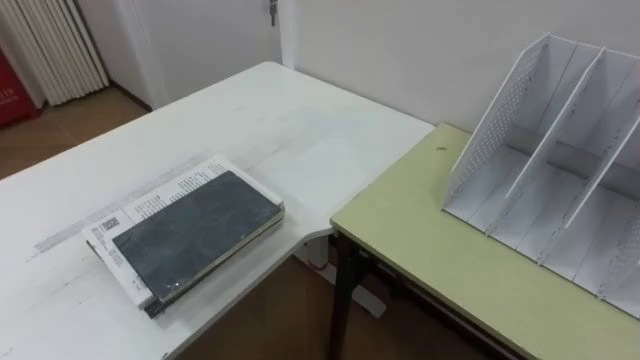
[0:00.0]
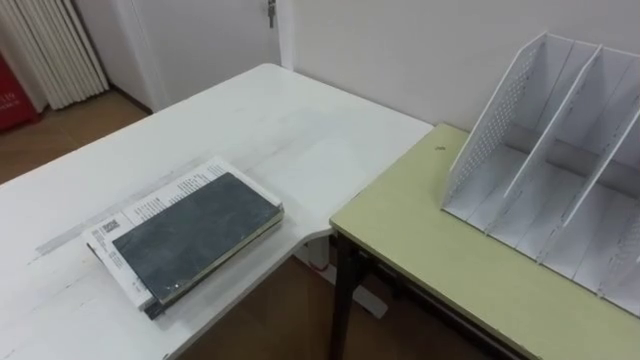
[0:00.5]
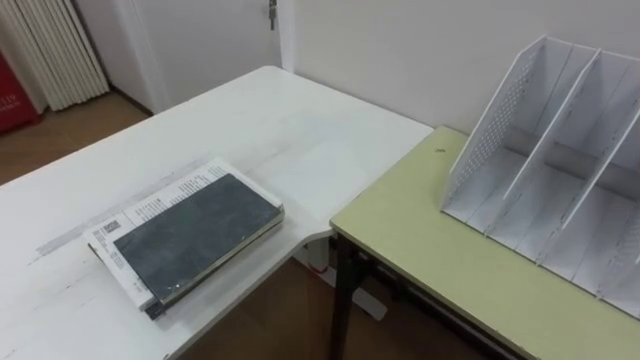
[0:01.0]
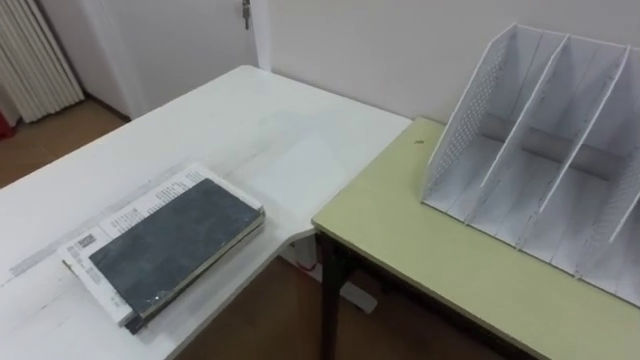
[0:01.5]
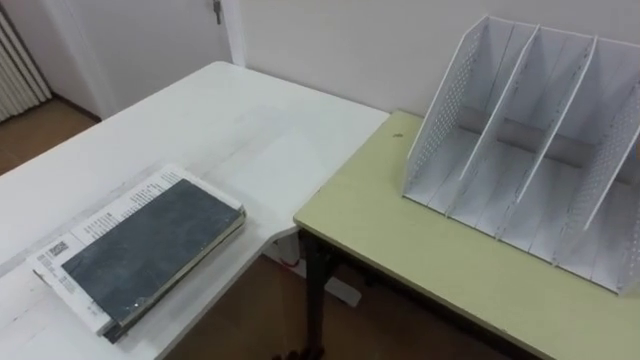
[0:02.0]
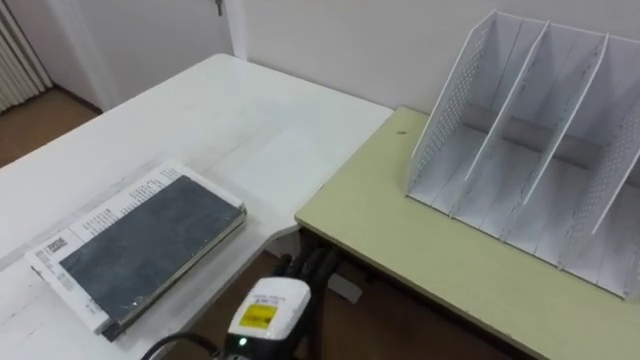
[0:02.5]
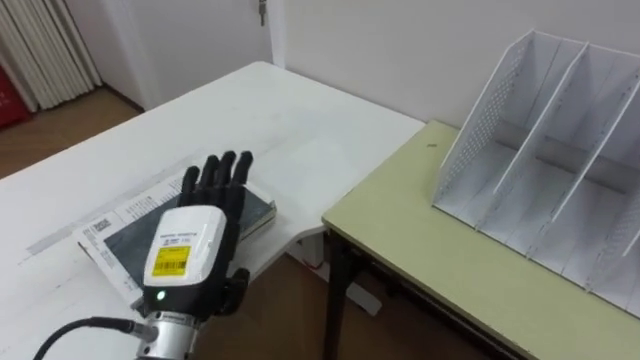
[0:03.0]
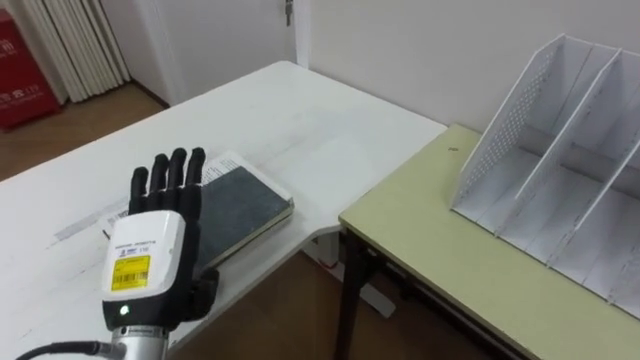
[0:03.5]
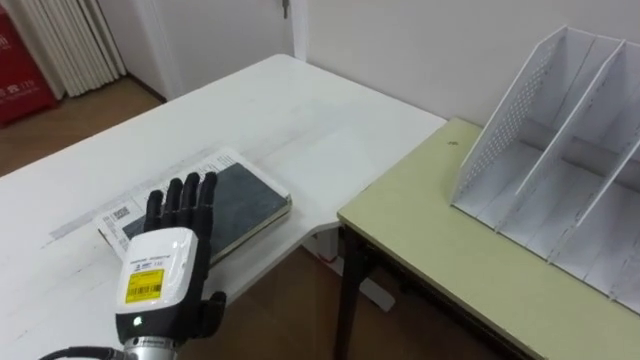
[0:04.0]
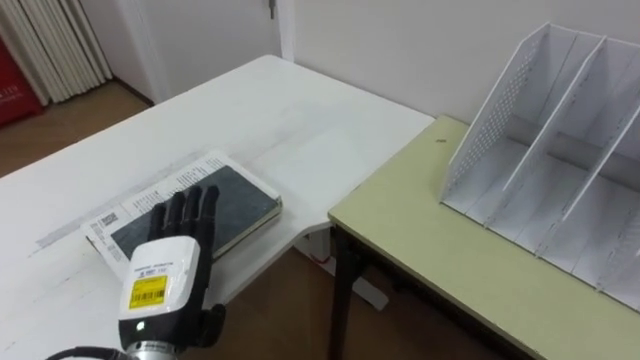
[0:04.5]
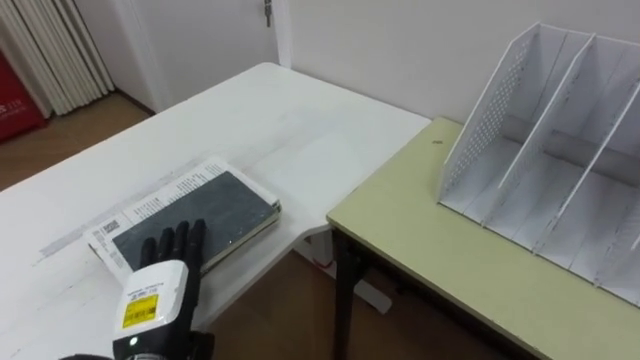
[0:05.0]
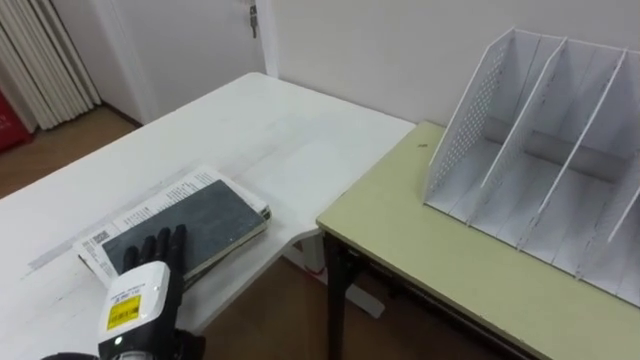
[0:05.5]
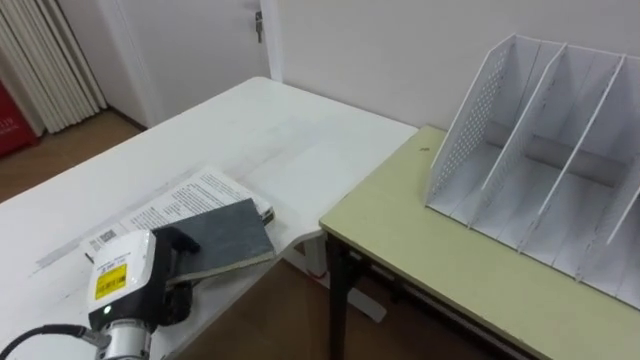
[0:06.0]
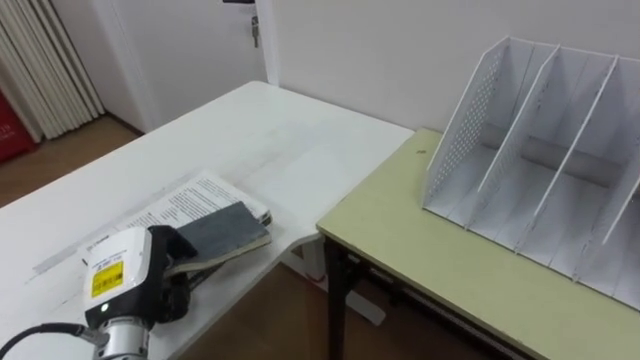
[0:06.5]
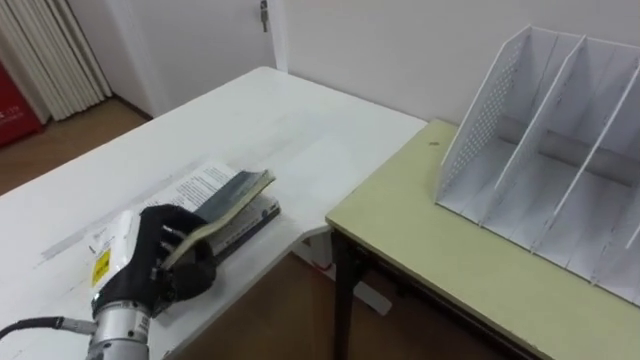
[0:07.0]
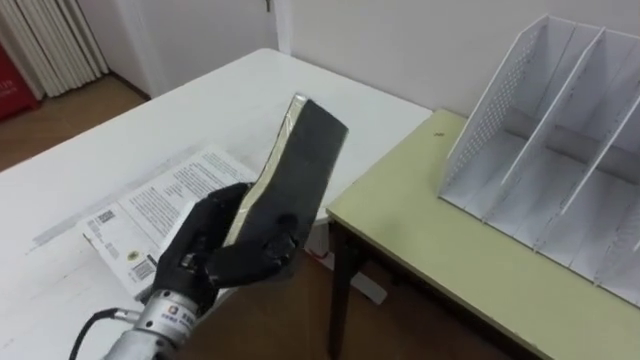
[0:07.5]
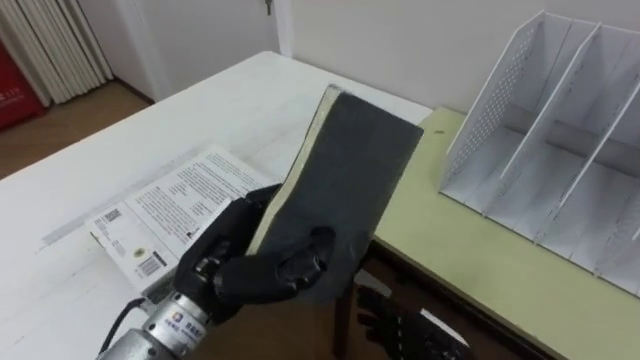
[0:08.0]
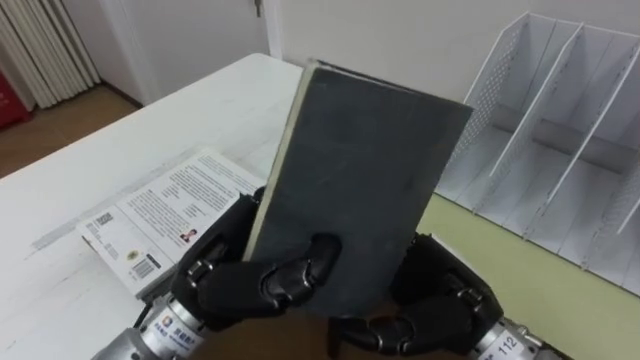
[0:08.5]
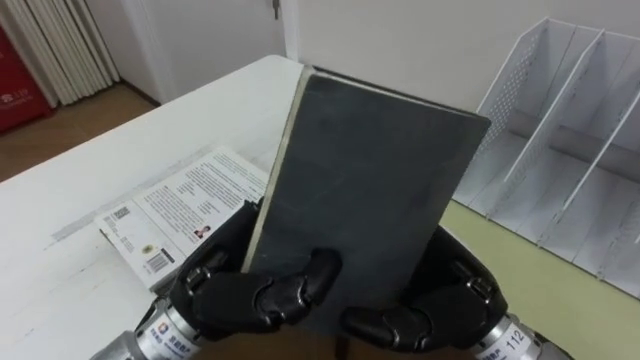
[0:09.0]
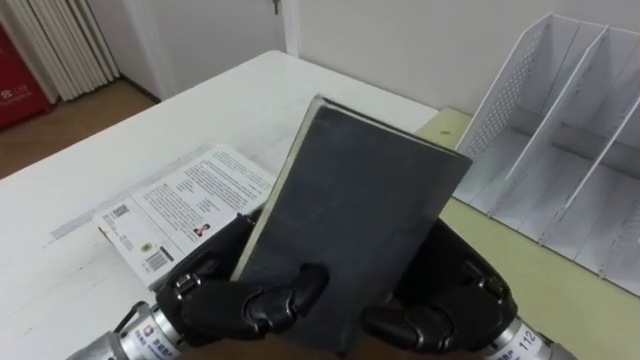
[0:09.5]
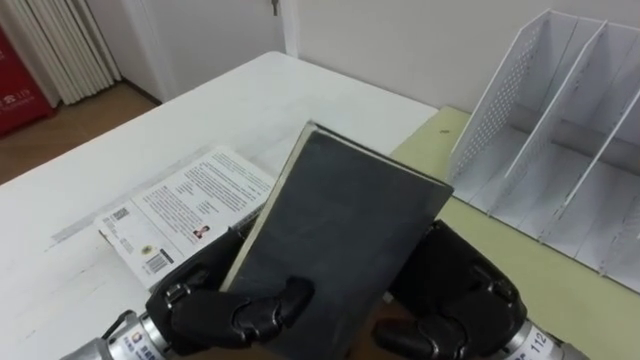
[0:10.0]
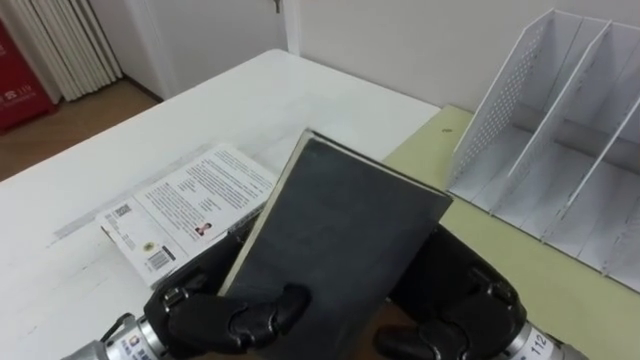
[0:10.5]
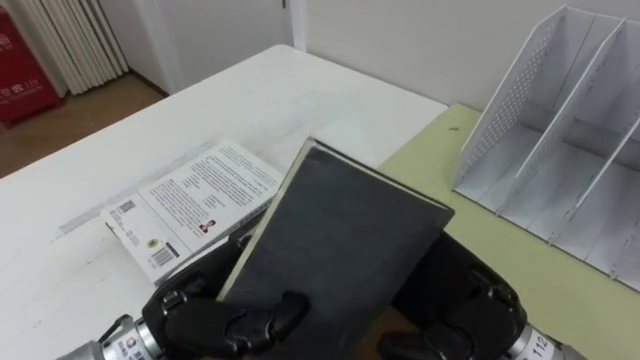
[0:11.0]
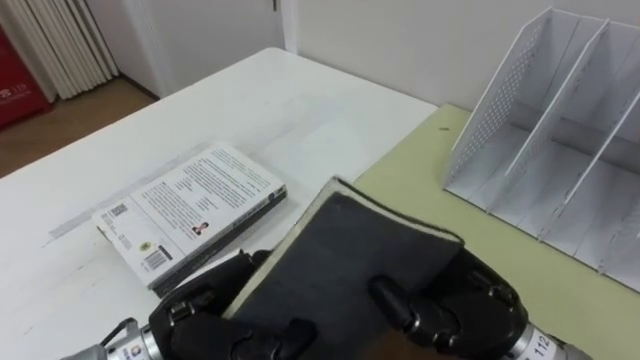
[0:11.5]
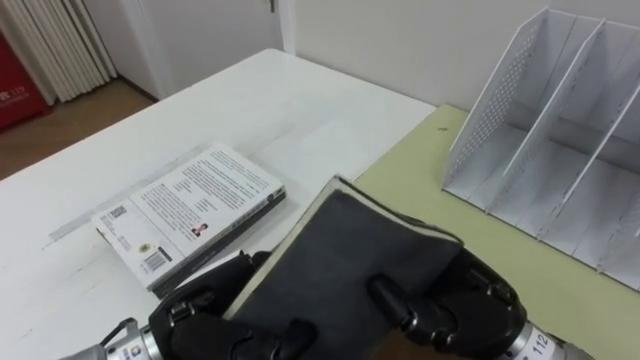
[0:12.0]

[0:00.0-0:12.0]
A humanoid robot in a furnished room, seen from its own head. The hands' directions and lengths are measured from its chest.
Task of the whole recording: Put the books on the table onto the bookshelf.
0:04.0 to 0:06.0: The left hand moves about 5 cm, and closes its fingers.
0:06.0 to 0:08.0: The left hand is displaced to the right and upward by about 15 cm.
0:08.0 to 0:10.0: The right hand shifts some 15 cm upward.
0:10.0 to 0:12.0: The right hand closes.

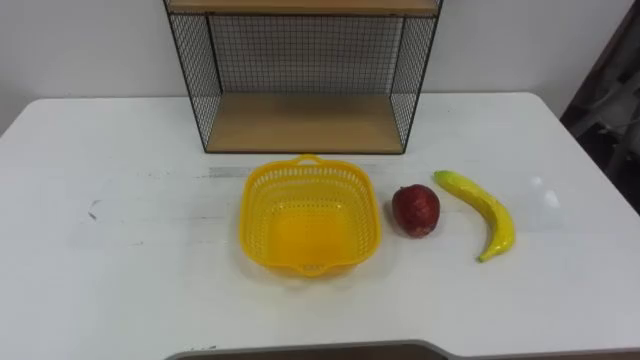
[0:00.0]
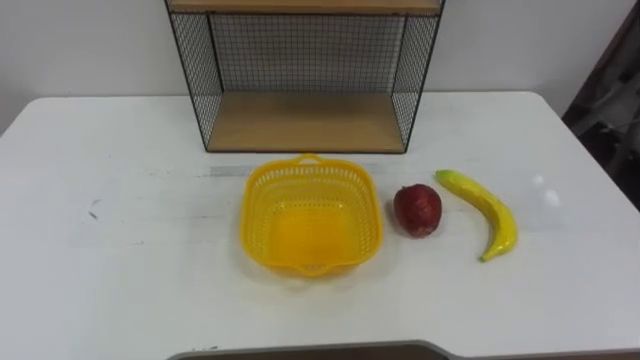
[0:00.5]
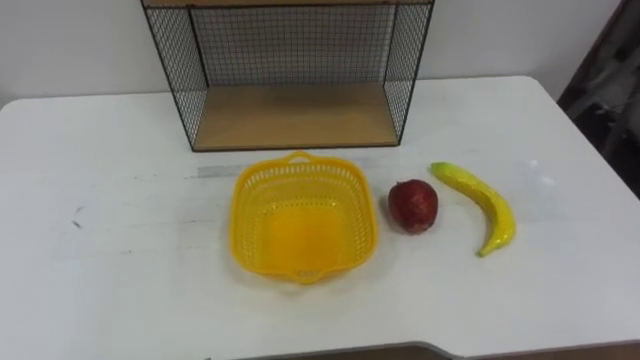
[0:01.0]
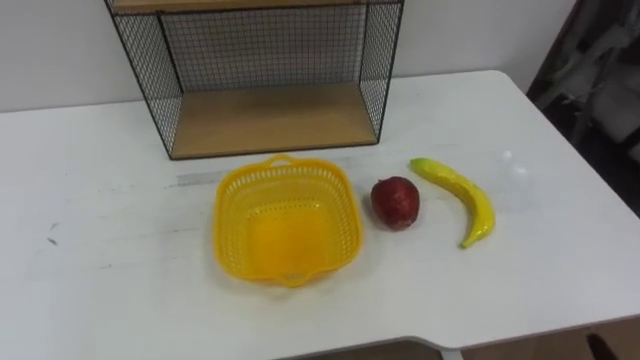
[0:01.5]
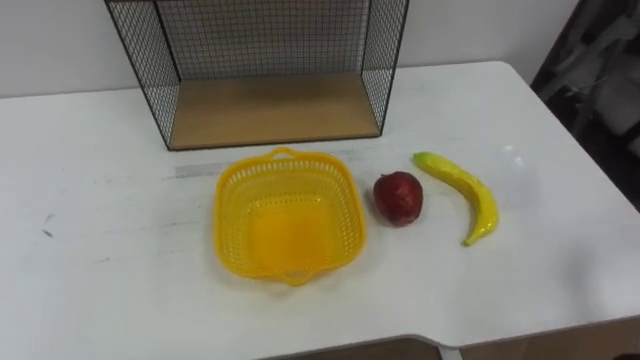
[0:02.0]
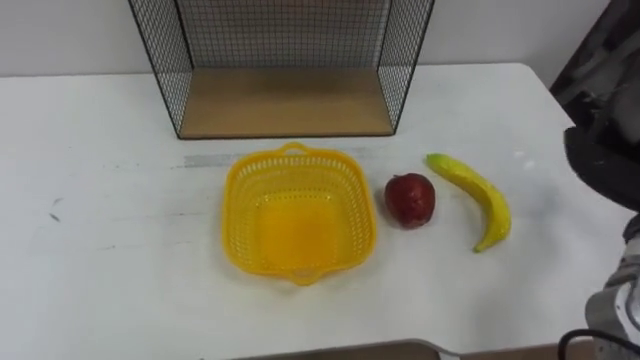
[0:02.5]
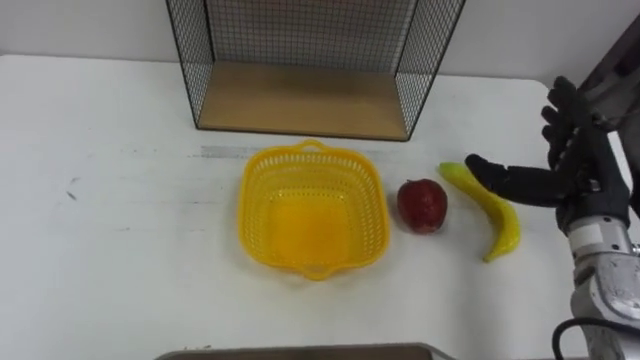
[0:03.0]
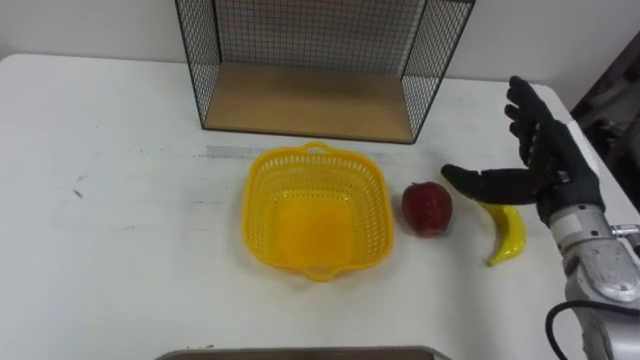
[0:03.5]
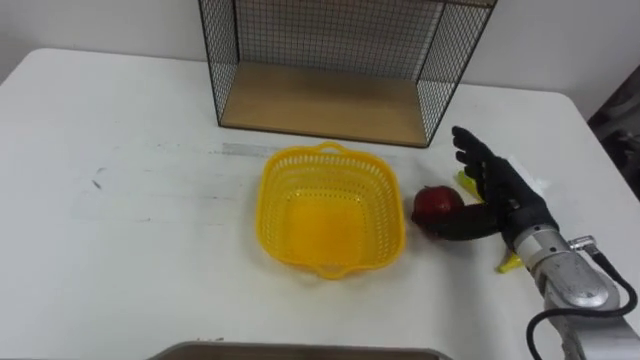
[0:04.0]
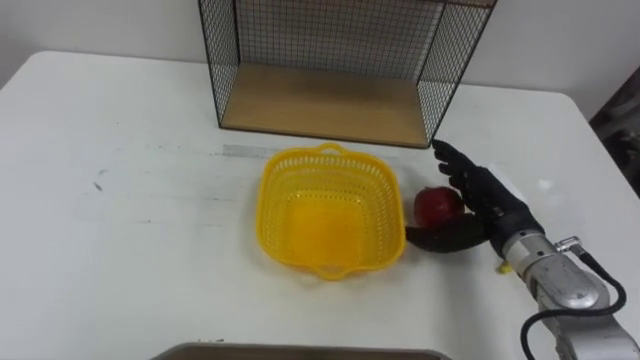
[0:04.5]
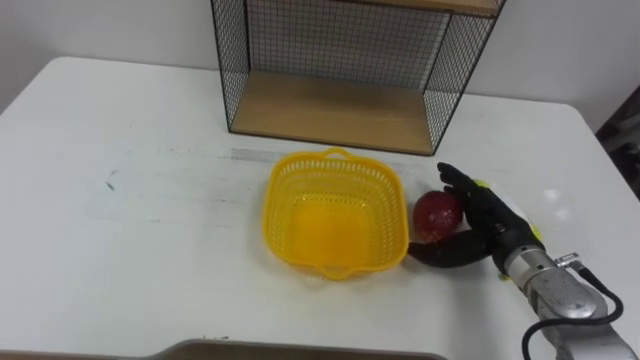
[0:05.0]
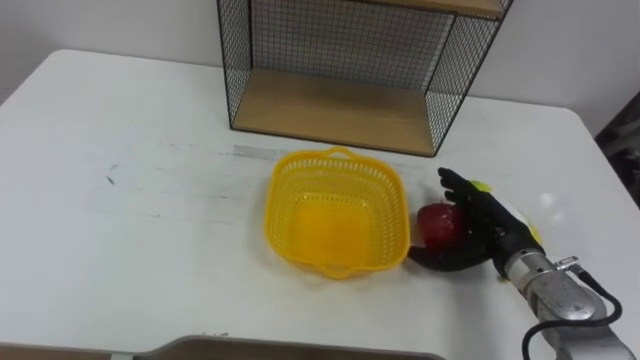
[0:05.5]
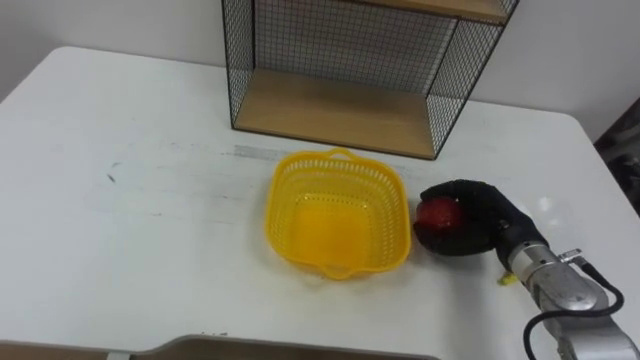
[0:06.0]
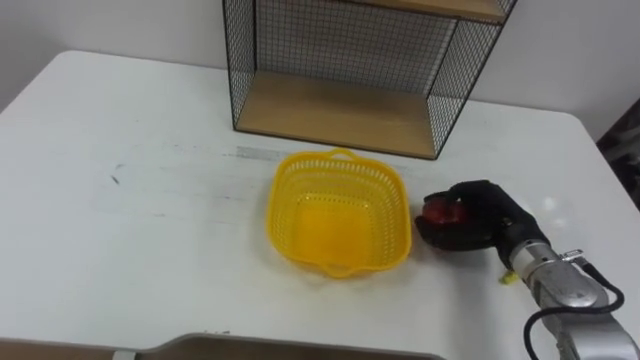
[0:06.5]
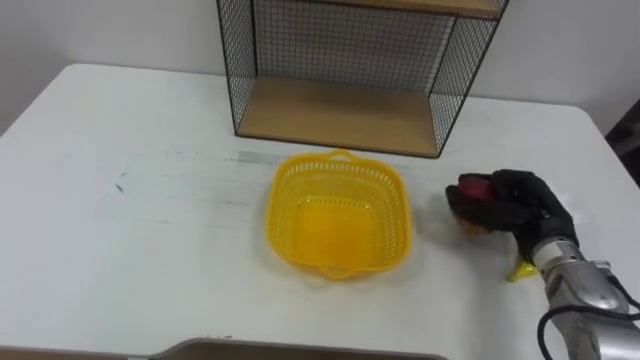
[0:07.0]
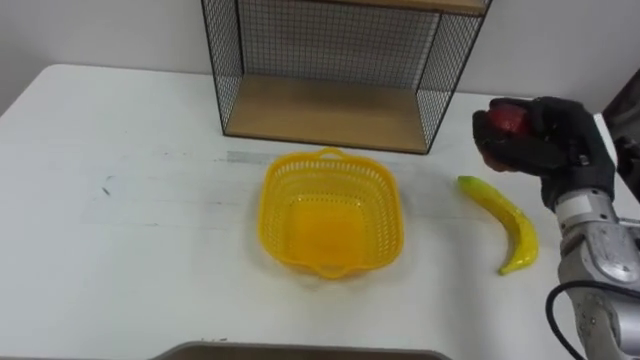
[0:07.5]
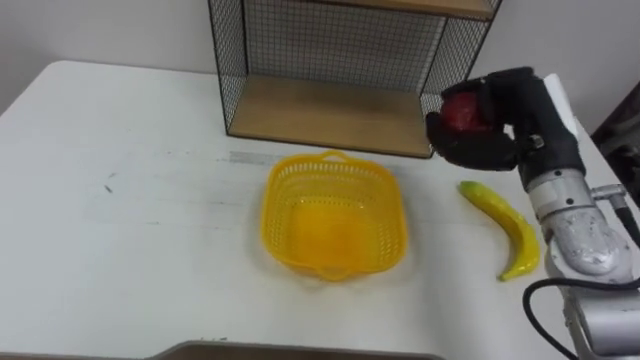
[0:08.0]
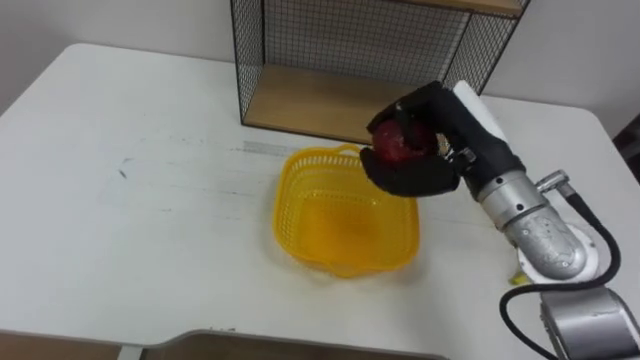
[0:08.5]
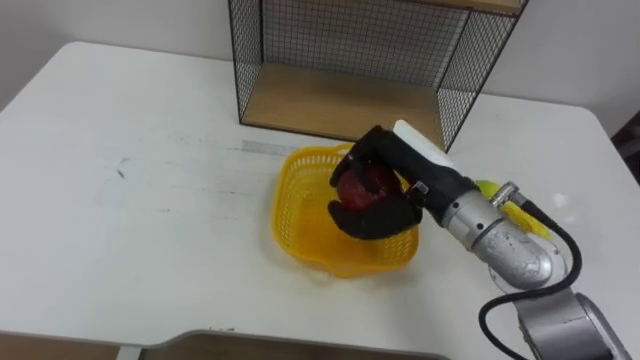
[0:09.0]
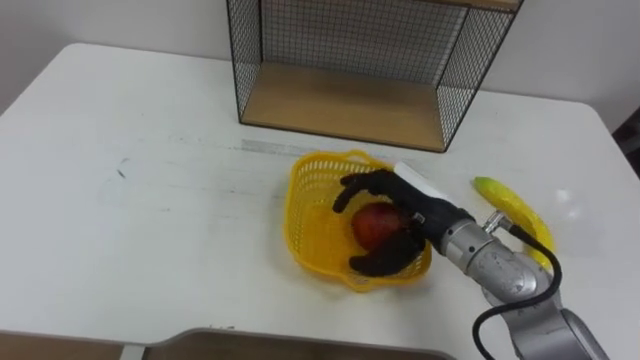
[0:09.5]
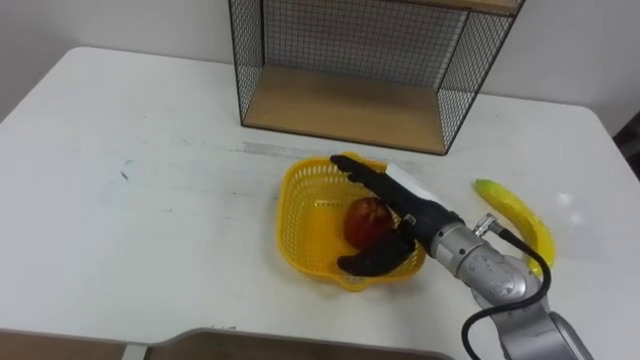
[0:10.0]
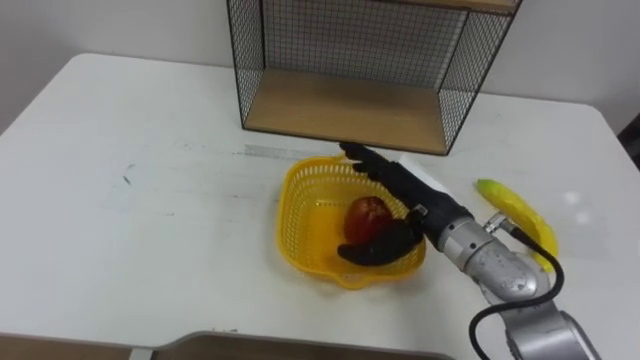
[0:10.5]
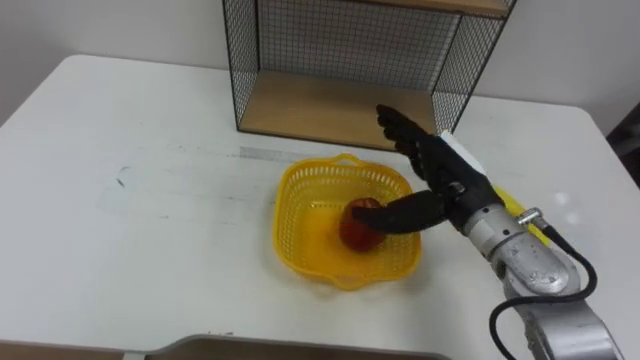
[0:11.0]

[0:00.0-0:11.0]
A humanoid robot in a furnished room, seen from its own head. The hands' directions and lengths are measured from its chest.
Task of the whole recording: Put the fruit on the table into the basket, then place the basket on the shelf.
0:03.5 to 0:05.5: The right hand shifts approximately 10 cm downward.
0:05.5 to 0:07.5: The right hand is displaced upward and to the right by some 10 cm, and closes.
0:07.5 to 0:09.0: The right hand shifts some 15 cm to the left.
0:09.0 to 0:11.0: The right hand moves approximately 5 cm, and opens up.
